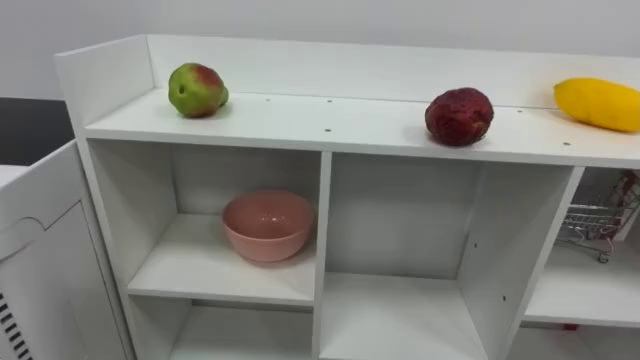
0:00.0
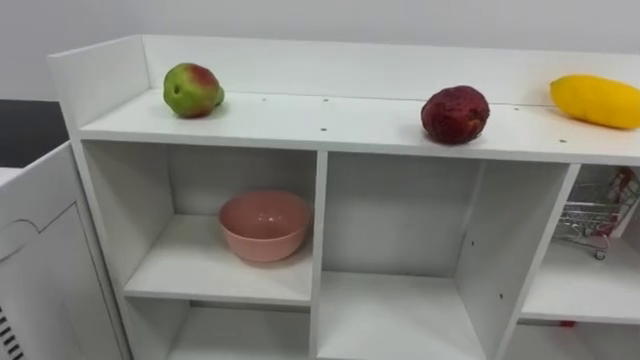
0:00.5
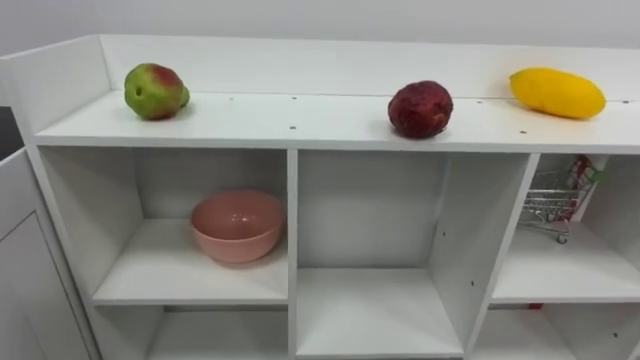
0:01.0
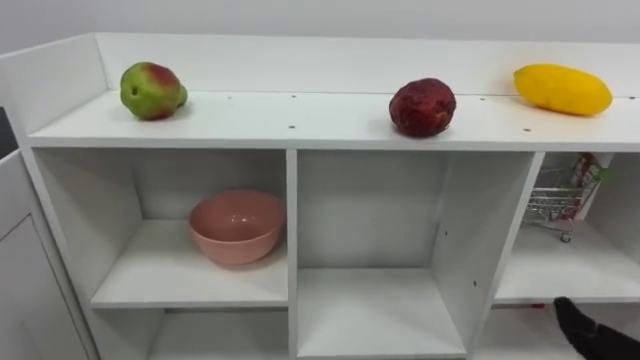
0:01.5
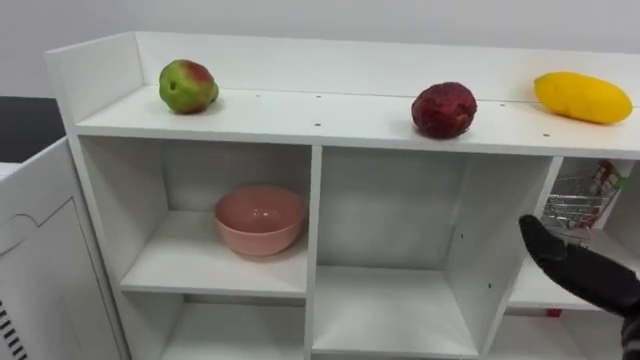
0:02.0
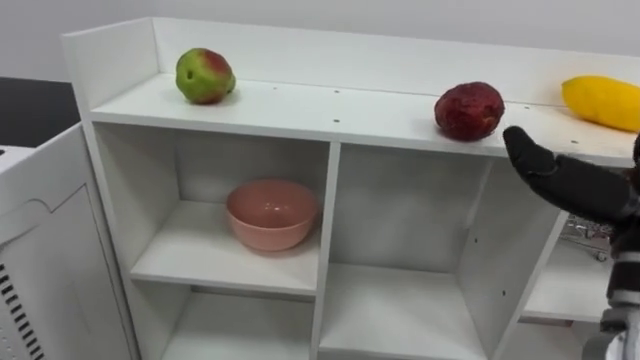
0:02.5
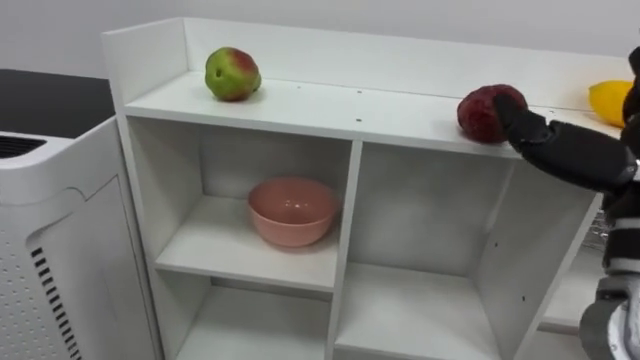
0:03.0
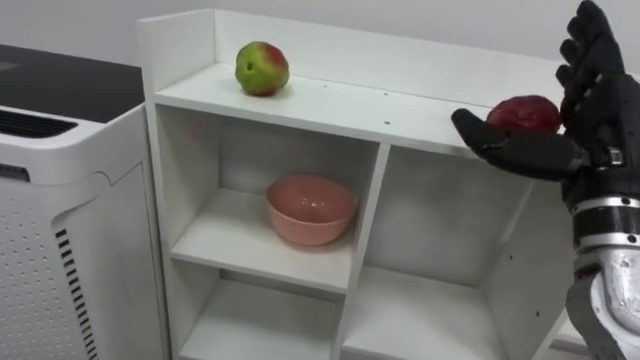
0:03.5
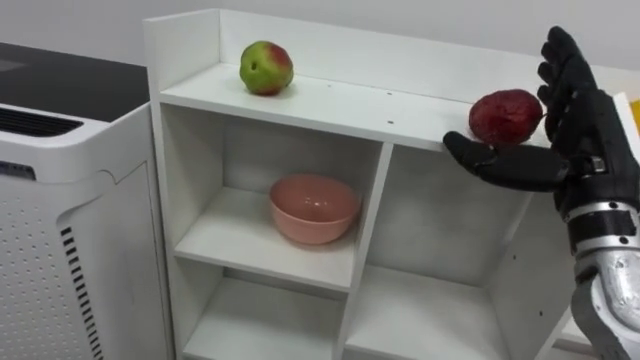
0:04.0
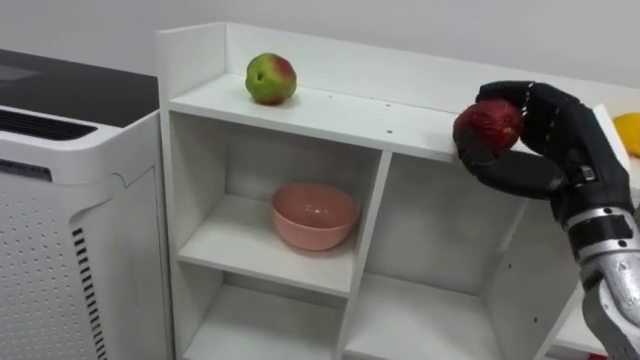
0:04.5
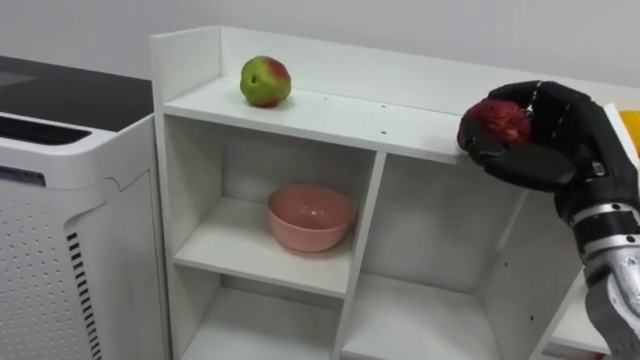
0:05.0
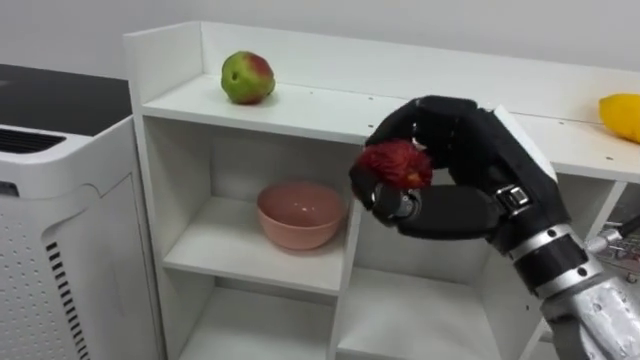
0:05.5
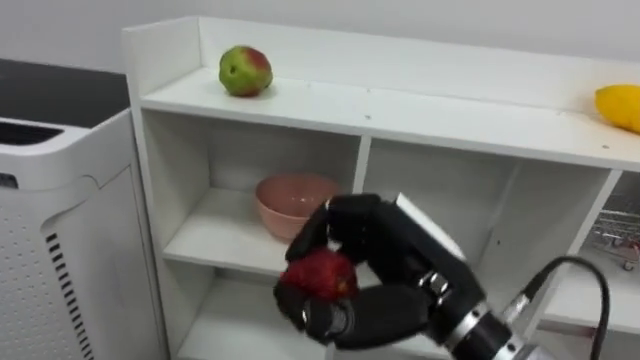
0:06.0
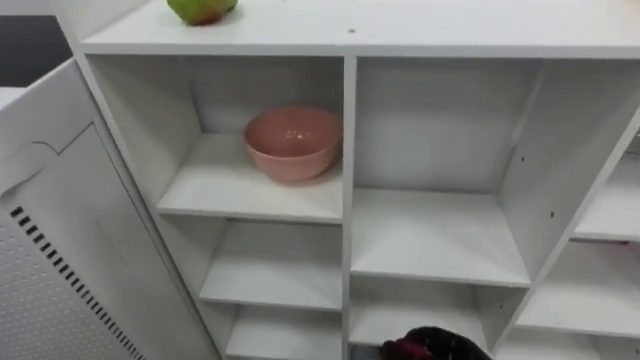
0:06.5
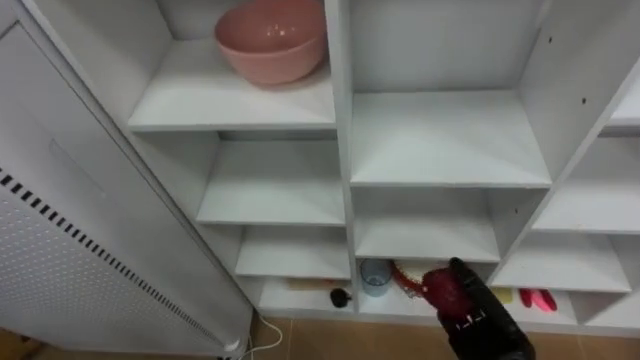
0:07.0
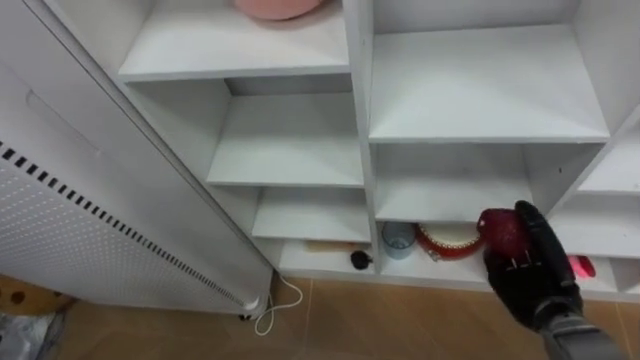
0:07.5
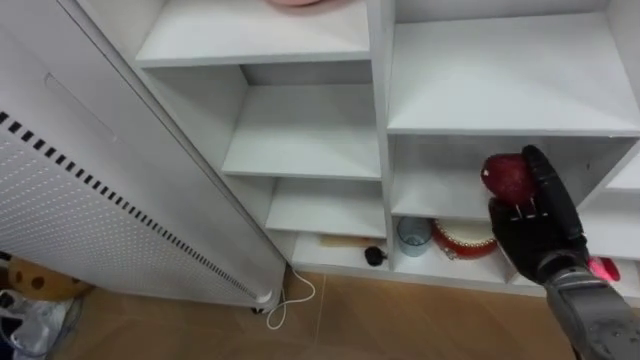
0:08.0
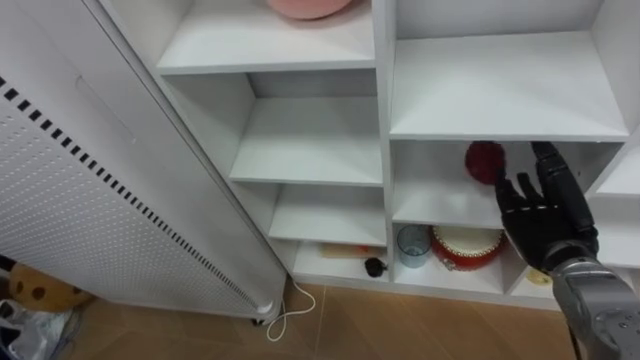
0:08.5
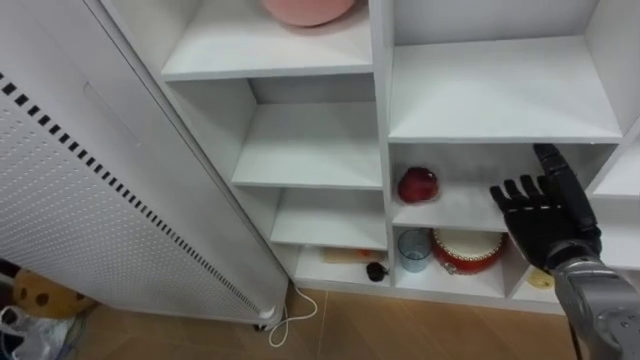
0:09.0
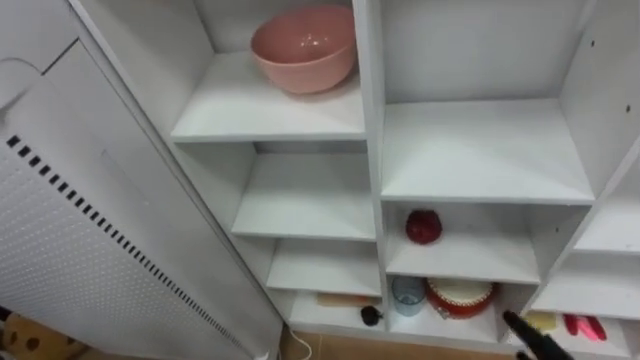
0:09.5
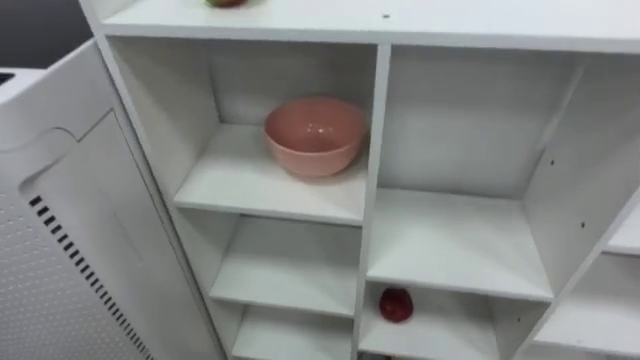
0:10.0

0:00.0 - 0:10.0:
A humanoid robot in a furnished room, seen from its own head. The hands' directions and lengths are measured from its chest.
Task of the whole recording: Put the apple in the cell in the second column from the left and the second row from the top.
0:04.0 - 0:06.0: The right hand moves to the left and backward, about 15 cm, and closes its fingers.

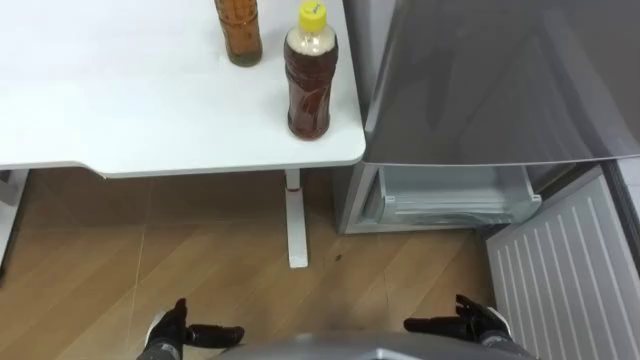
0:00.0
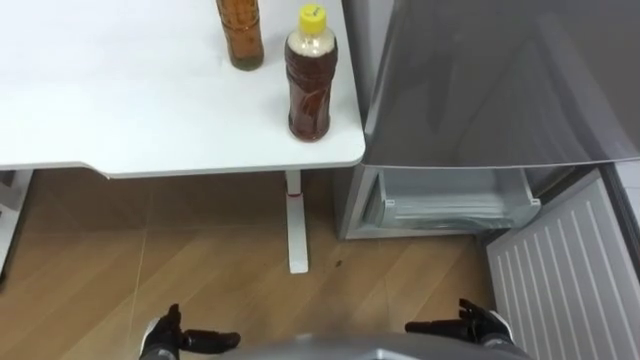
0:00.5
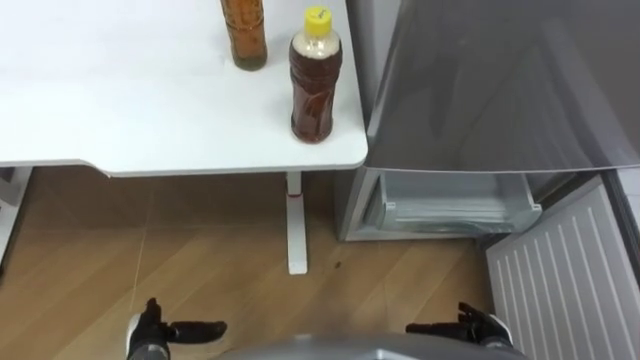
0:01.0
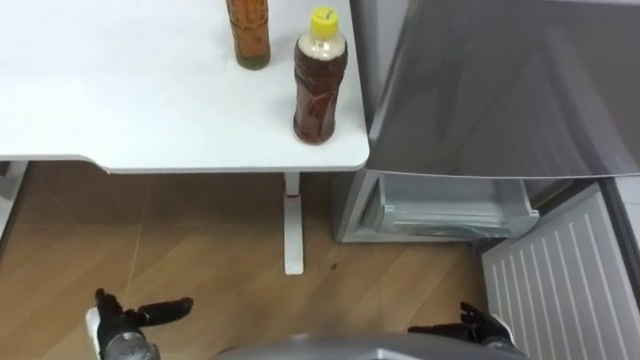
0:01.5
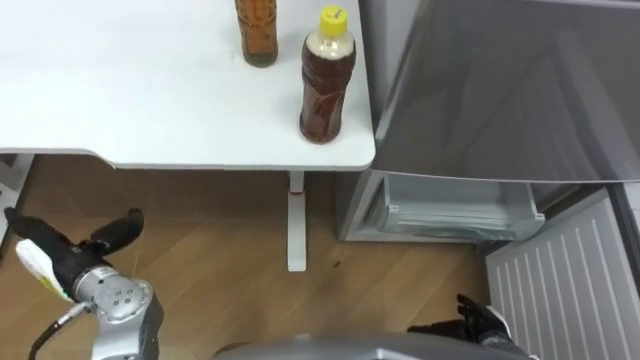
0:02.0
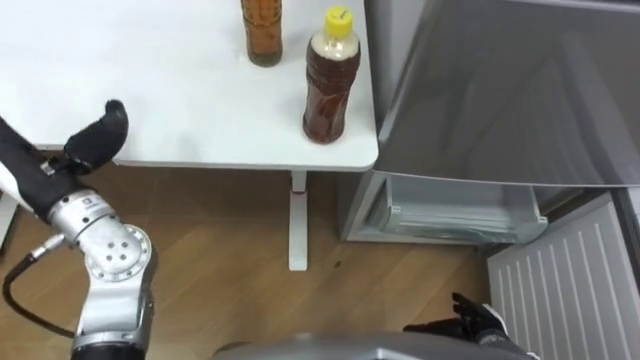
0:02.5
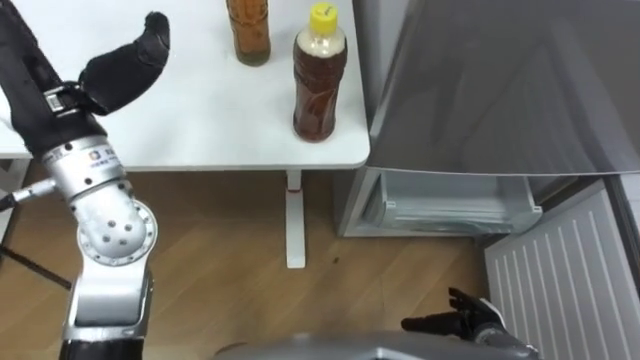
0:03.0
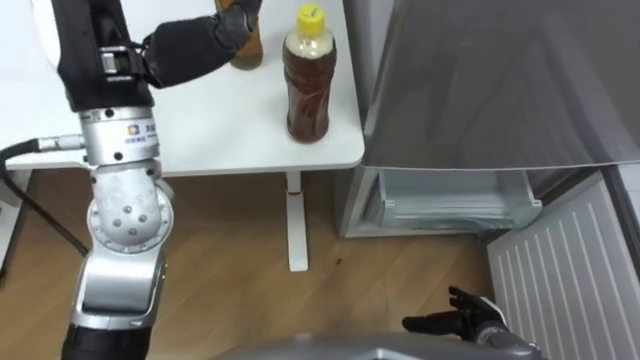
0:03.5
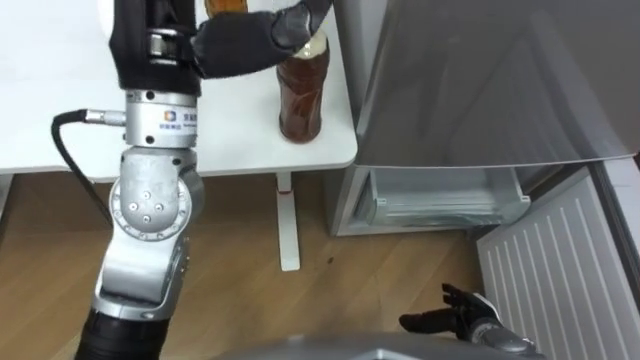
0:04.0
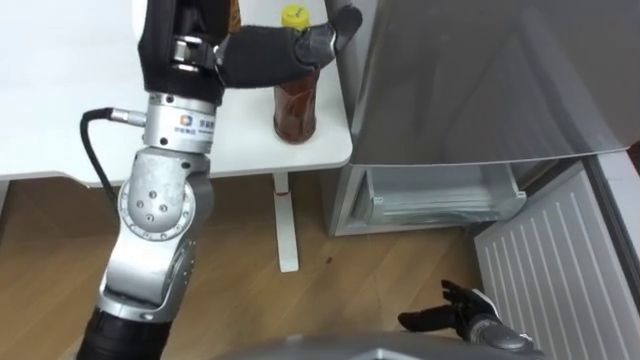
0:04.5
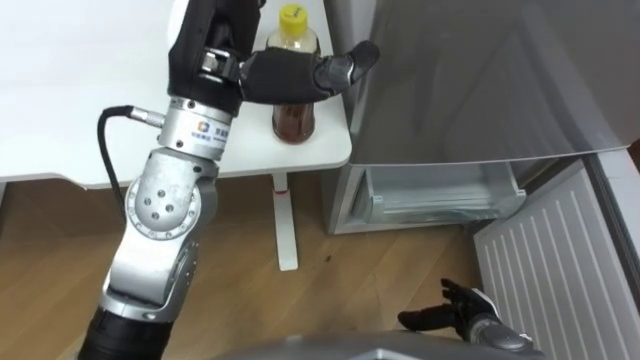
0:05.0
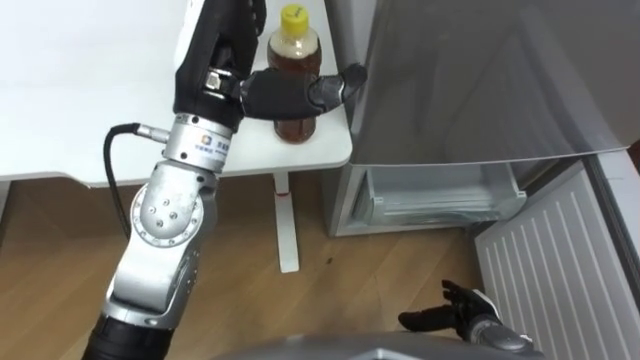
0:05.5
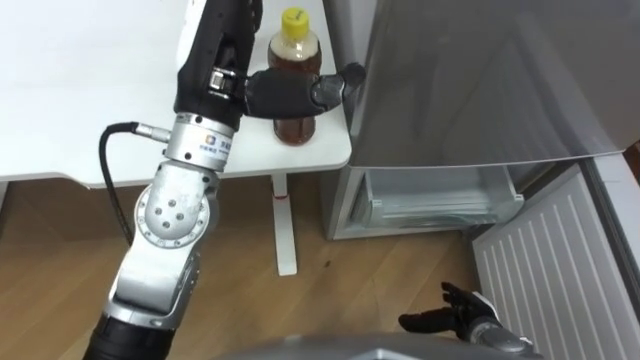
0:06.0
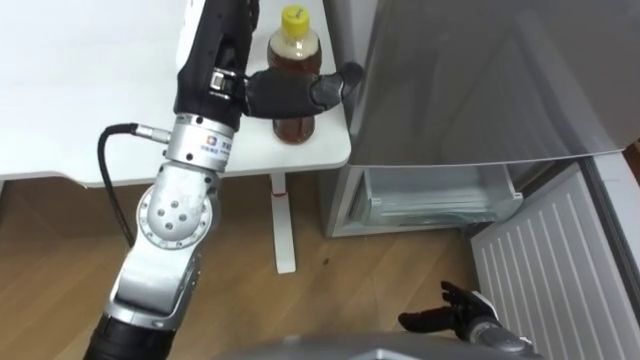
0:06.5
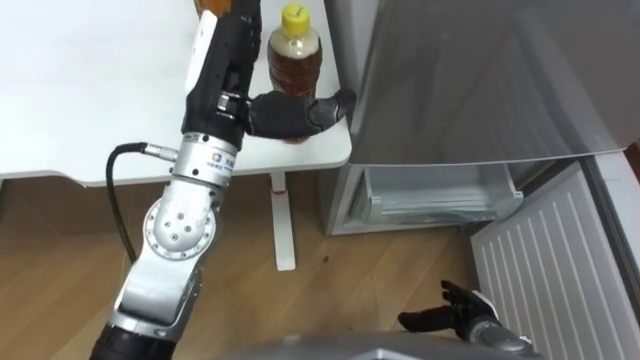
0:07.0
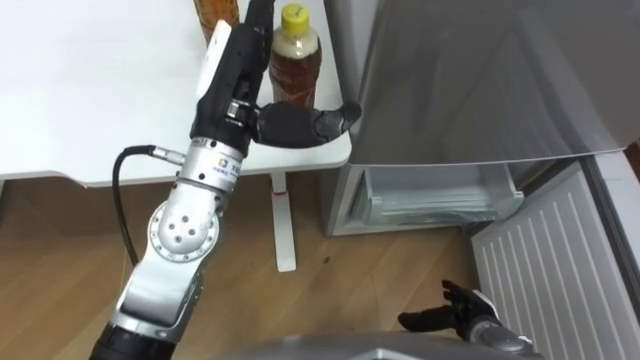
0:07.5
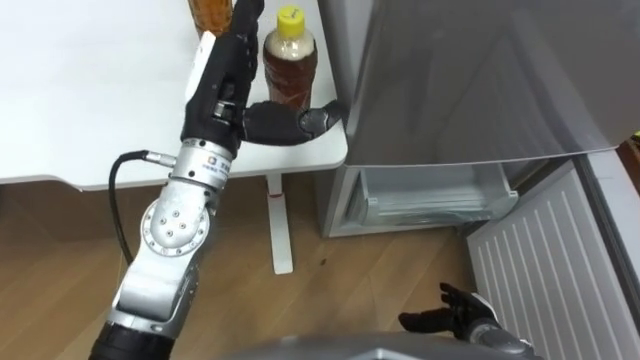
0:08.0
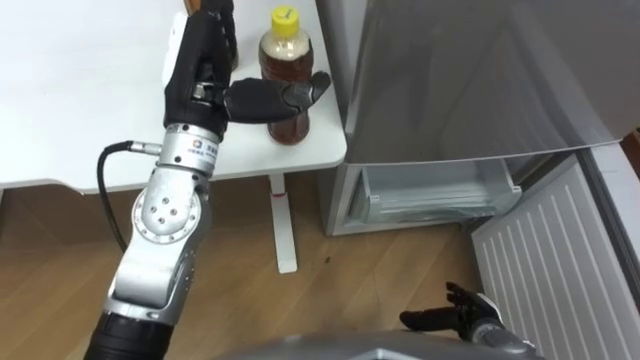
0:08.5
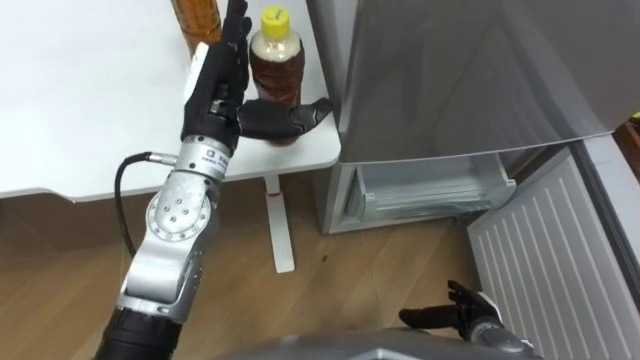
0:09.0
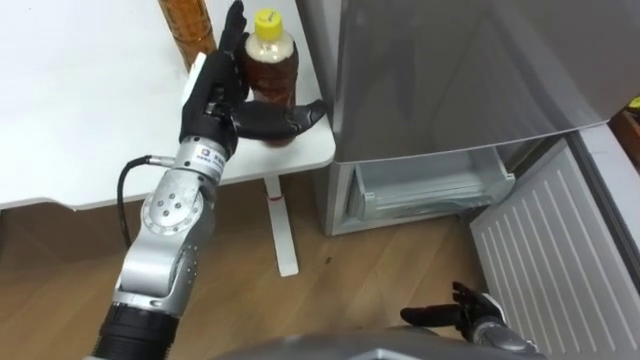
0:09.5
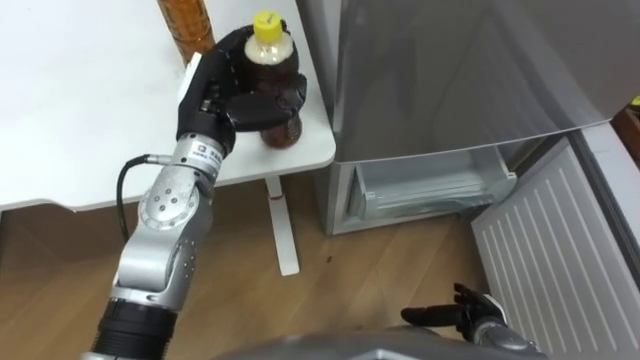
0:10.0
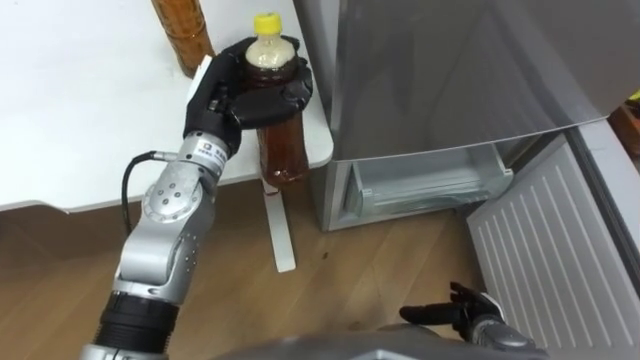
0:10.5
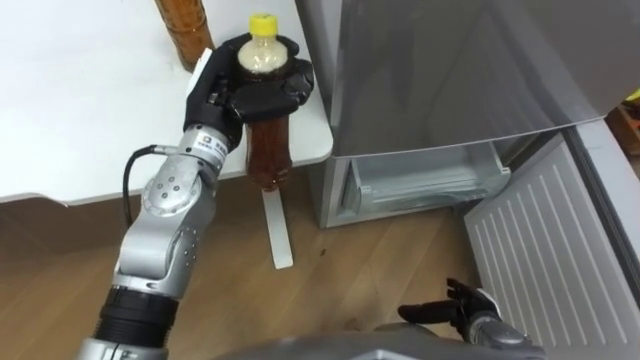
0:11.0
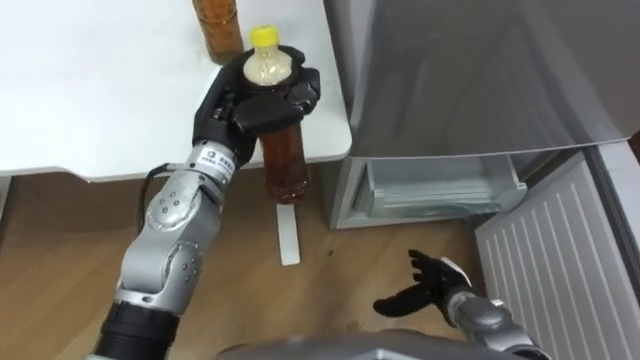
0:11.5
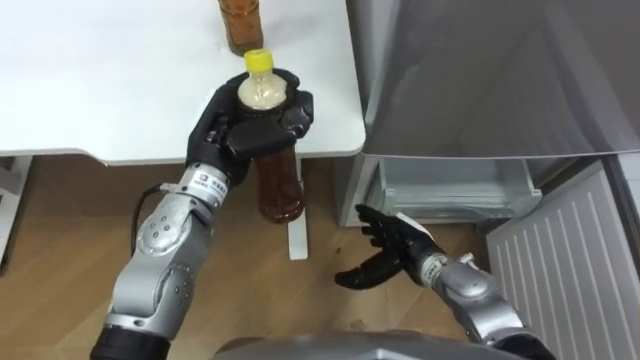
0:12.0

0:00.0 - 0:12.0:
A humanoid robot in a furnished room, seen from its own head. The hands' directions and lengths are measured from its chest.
Task of the whole recording: Place the drink on the table on the bottom shelf of the refrigerator, then close the drawer and the refrigerator door.
0:02.0 - 0:04.0: The left hand goes approximately 35 cm upward and to the right.
0:04.0 - 0:06.0: The left hand heads downward, covering approximately 5 cm.
0:06.0 - 0:08.0: The left hand is displaced downward by some 5 cm.
0:08.0 - 0:10.0: The left hand ends up roughly 5 cm from where it was, and closes up.
0:10.0 - 0:12.0: The right hand heads to the left, forward and upward, covering roughly 15 cm. Meanwhile the left hand closes.
